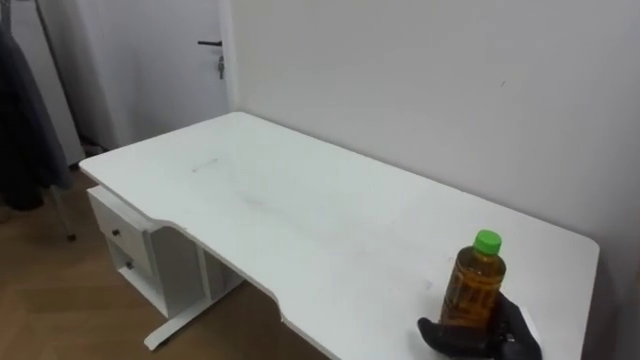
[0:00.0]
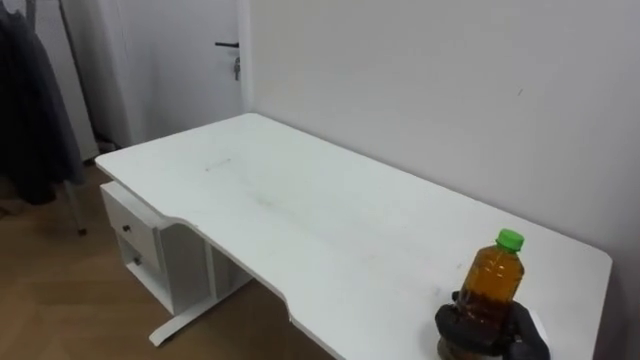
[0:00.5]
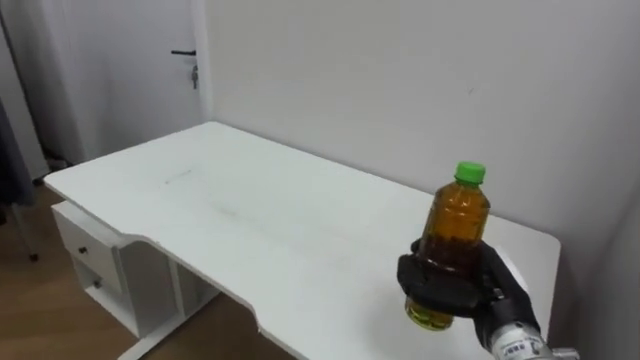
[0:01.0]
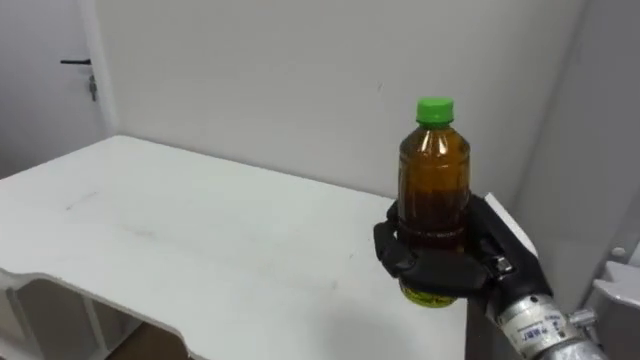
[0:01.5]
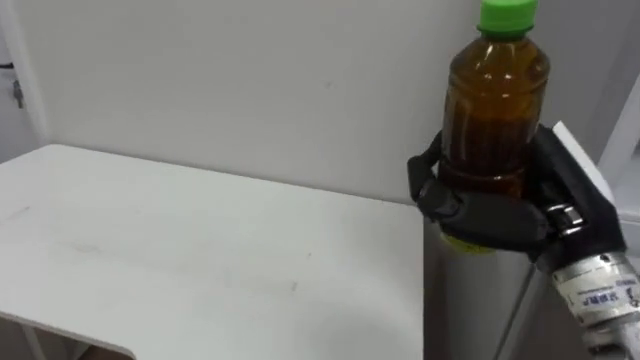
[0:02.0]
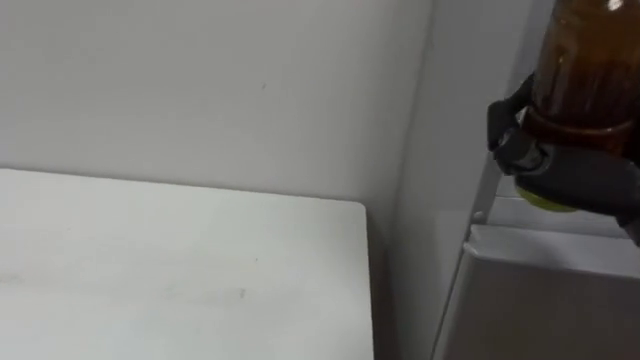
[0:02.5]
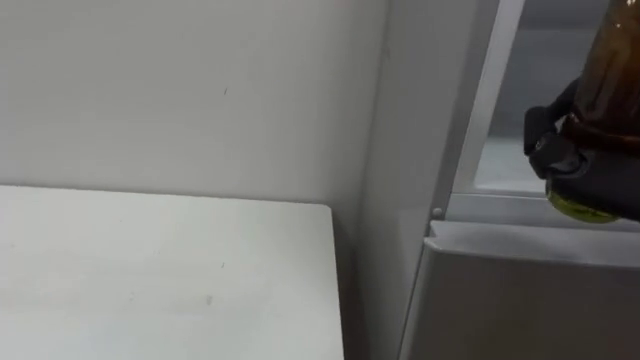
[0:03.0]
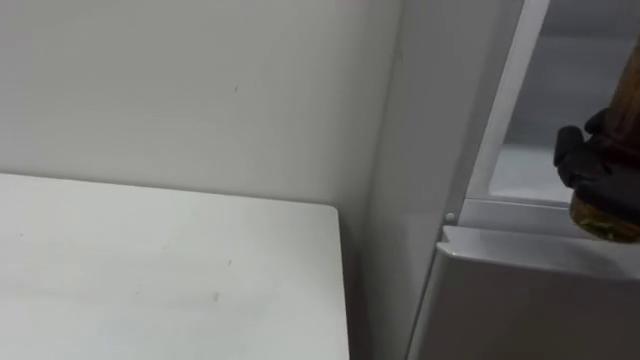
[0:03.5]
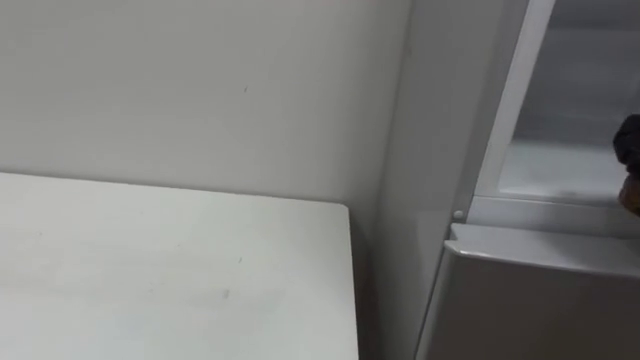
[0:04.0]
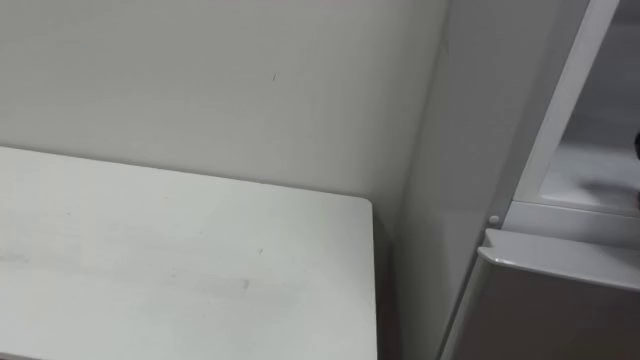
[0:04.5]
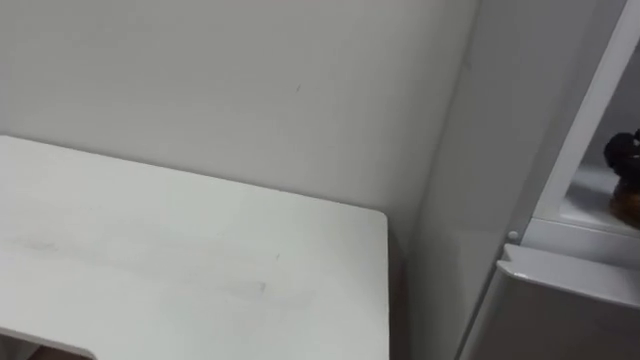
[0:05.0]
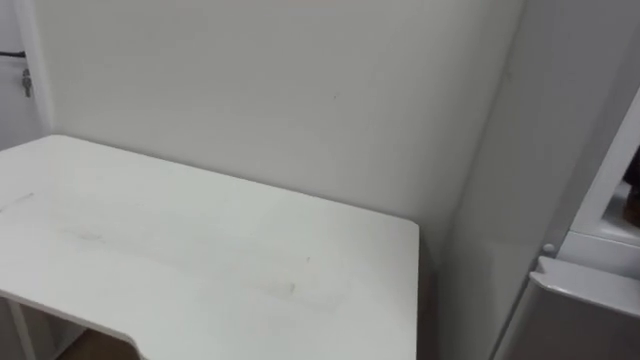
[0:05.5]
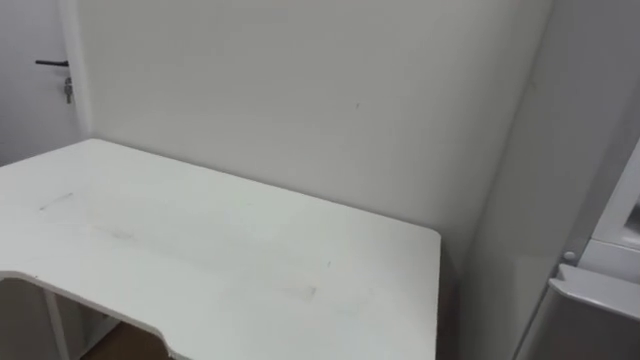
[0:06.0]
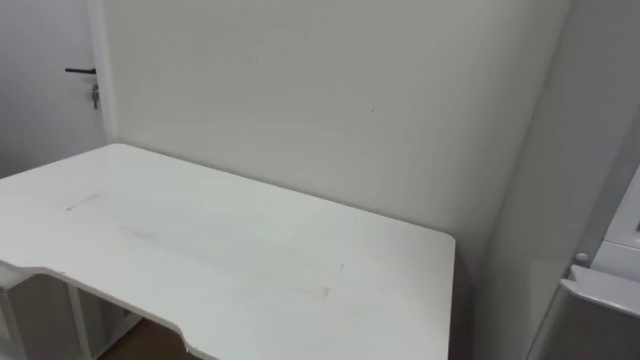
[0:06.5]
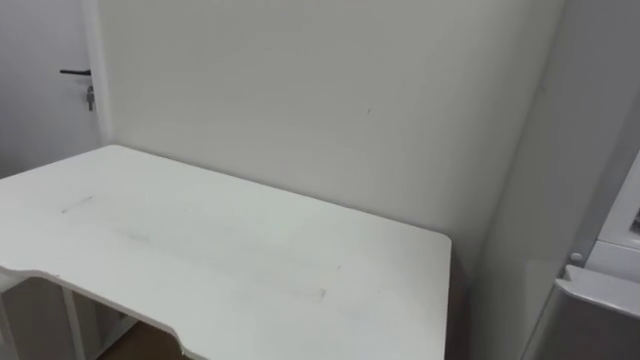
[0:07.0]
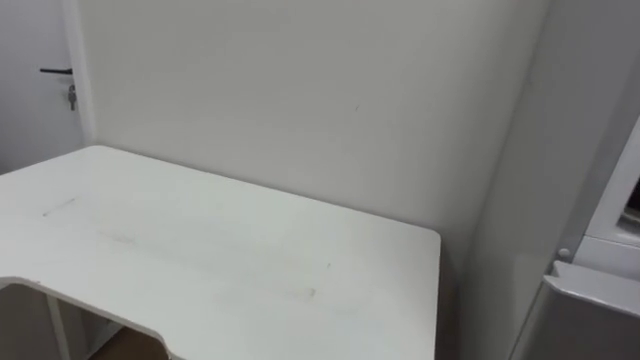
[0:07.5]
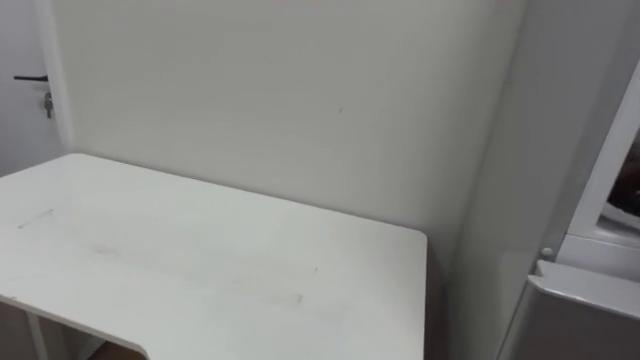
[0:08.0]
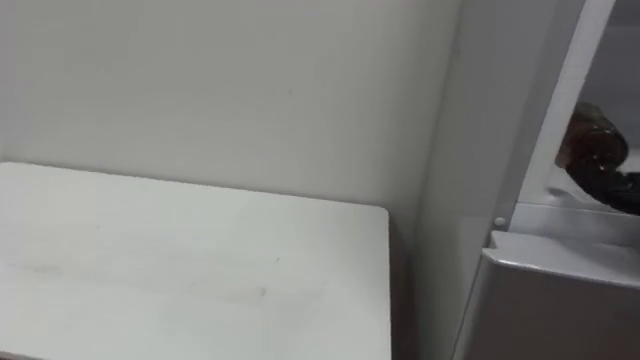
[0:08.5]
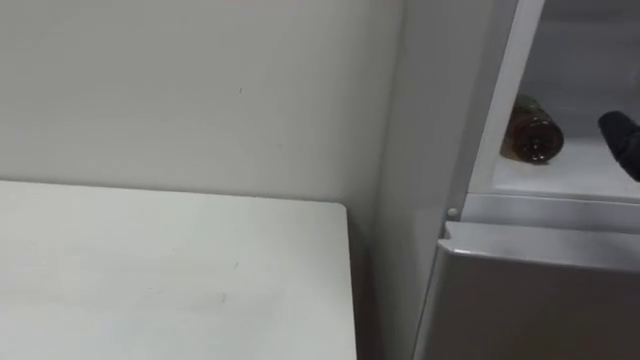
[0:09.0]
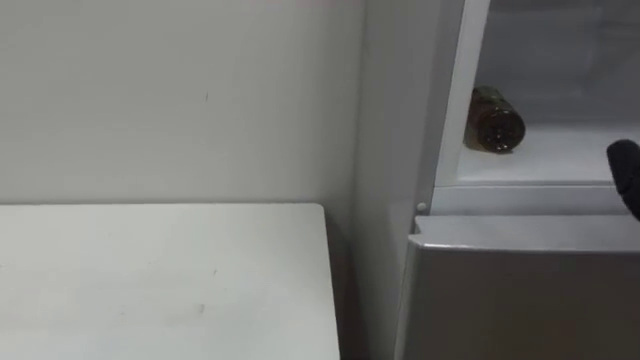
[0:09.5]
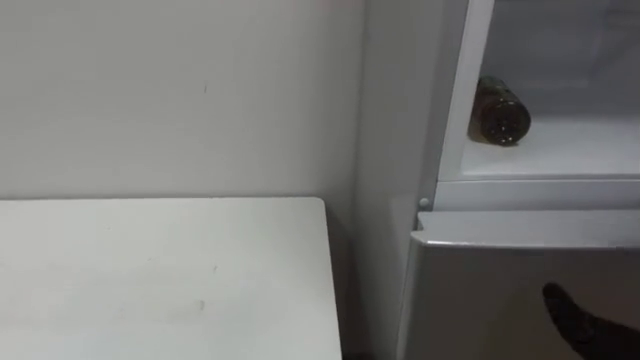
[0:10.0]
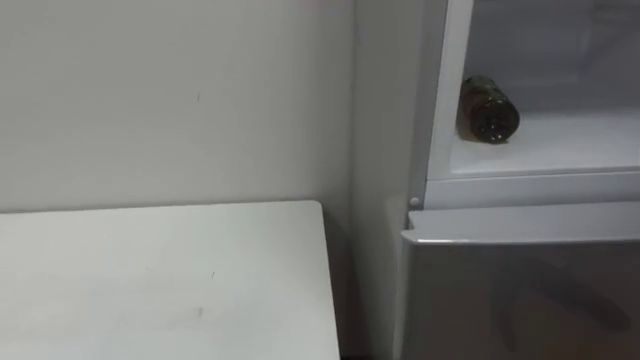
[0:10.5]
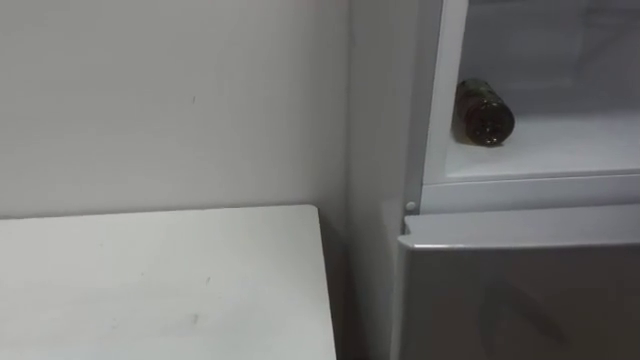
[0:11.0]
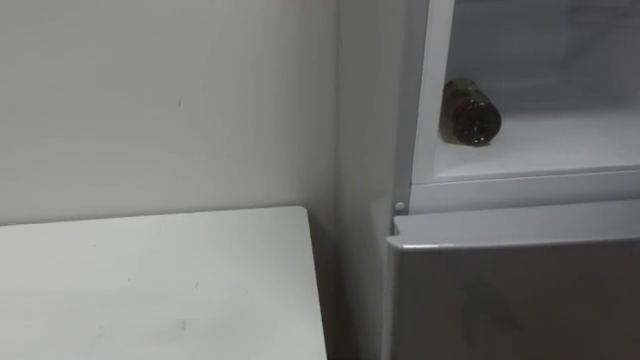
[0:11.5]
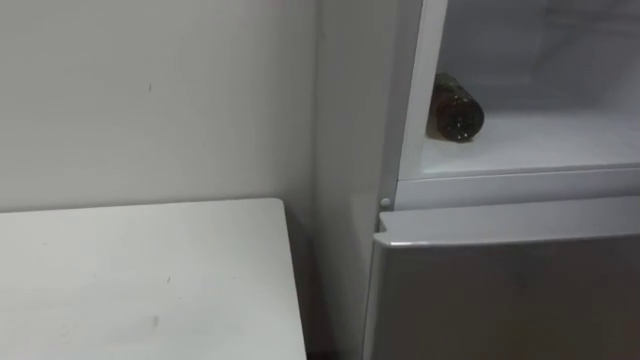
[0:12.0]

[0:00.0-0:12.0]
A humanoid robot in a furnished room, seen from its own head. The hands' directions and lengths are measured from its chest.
Task of the whole recording: Open the upper refrigerator door, put the drink from the table into the refrigerator, and then close the refrigerator door.
0:00.0 to 0:02.0: The right hand heads upward, covering roughly 25 cm, and closes up.

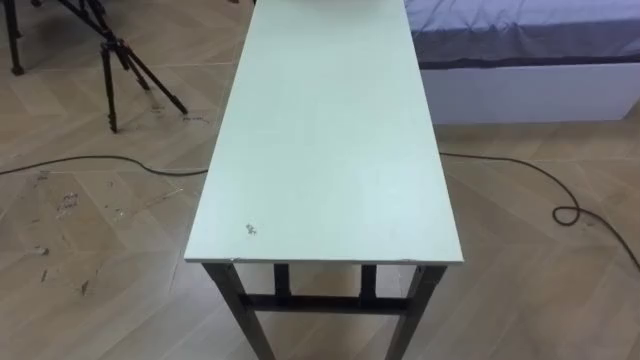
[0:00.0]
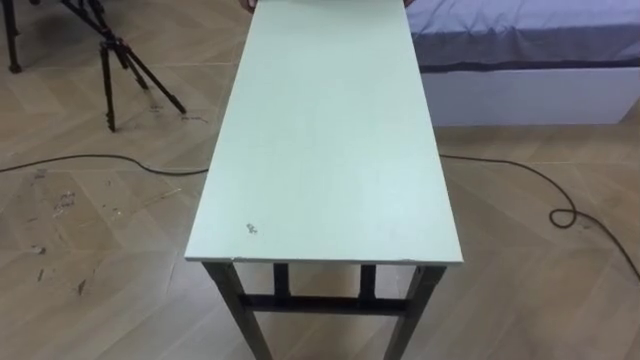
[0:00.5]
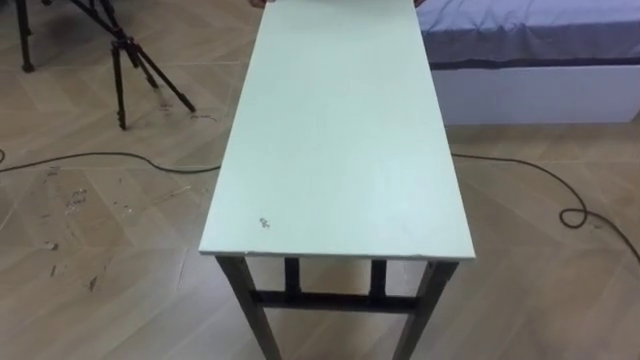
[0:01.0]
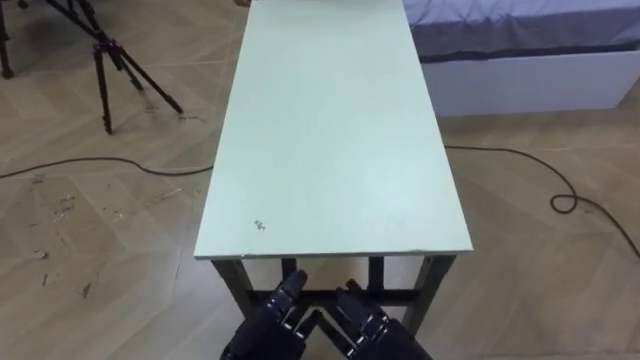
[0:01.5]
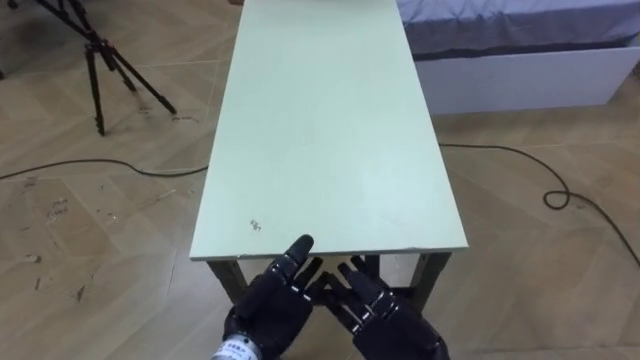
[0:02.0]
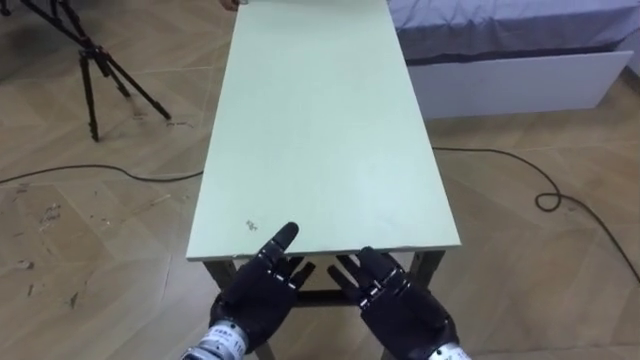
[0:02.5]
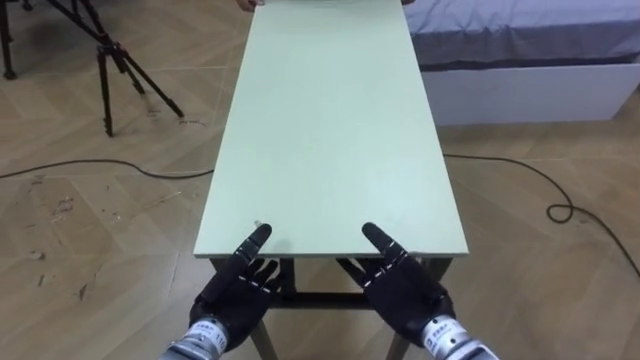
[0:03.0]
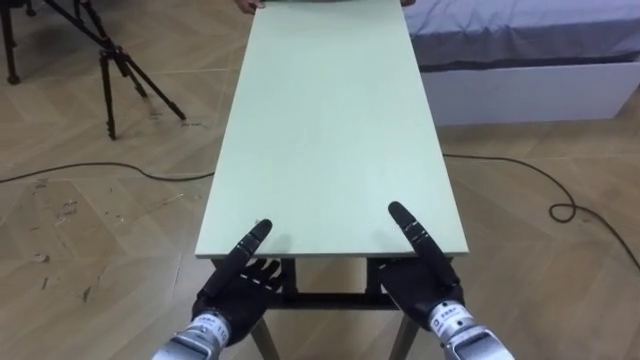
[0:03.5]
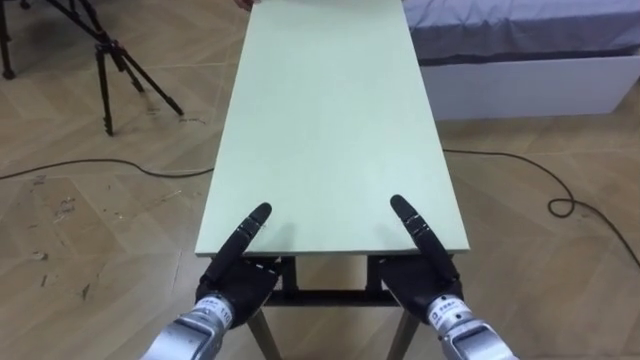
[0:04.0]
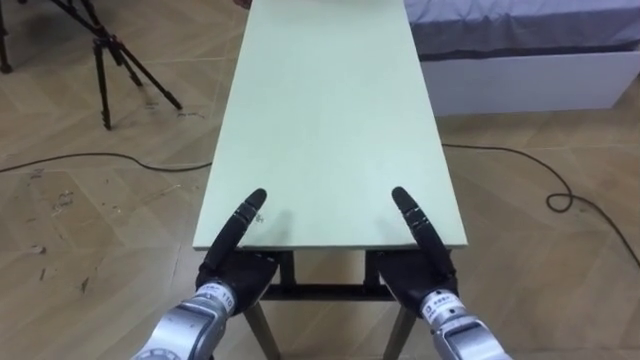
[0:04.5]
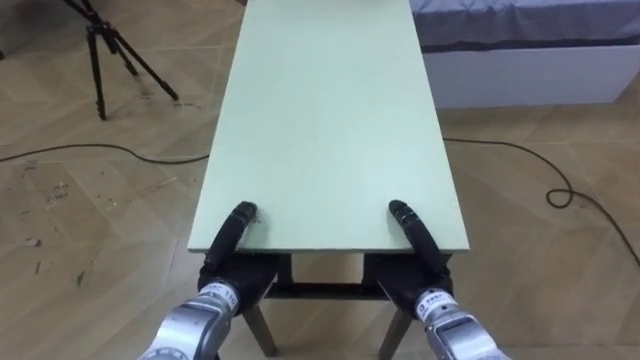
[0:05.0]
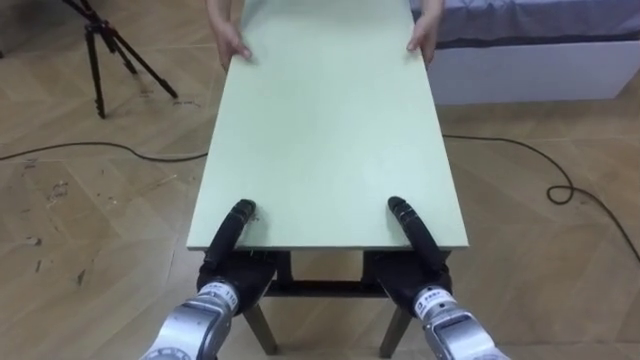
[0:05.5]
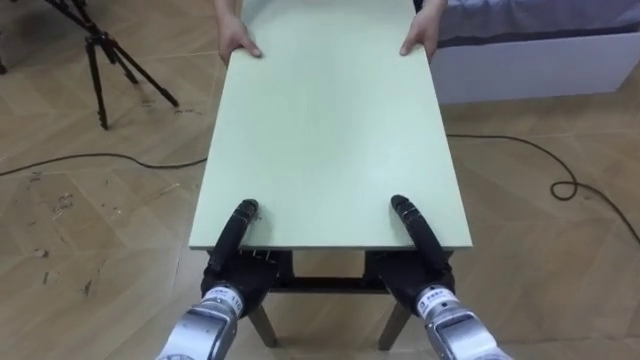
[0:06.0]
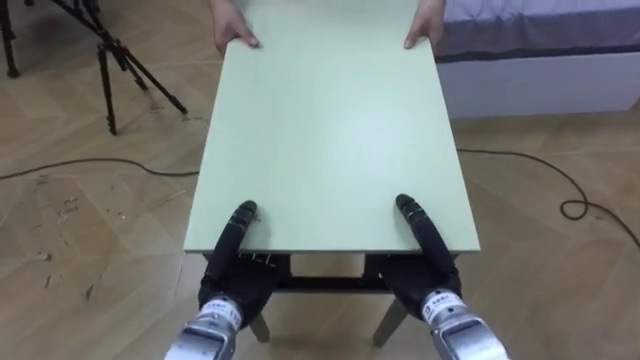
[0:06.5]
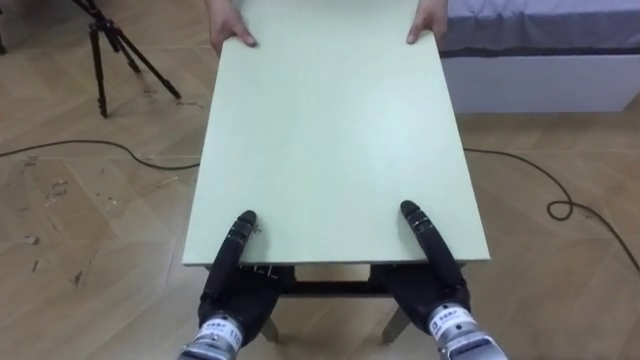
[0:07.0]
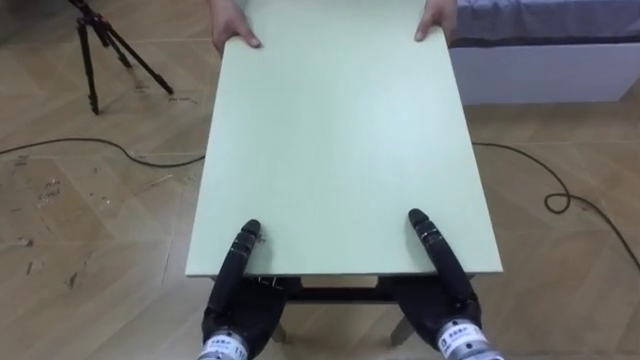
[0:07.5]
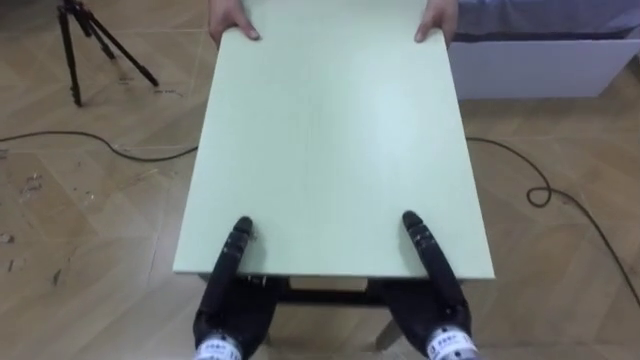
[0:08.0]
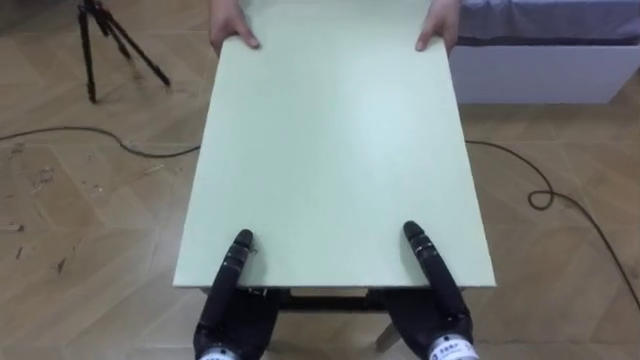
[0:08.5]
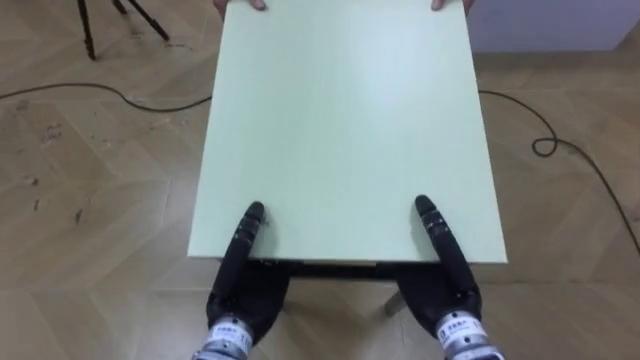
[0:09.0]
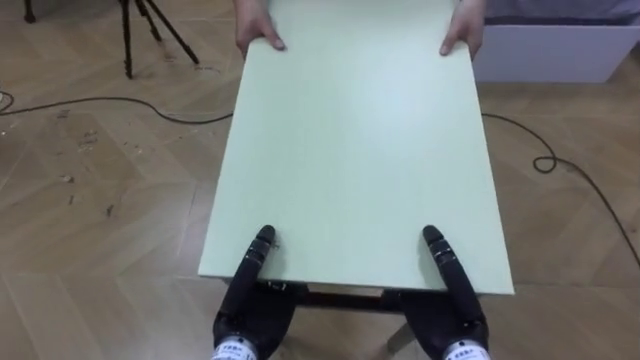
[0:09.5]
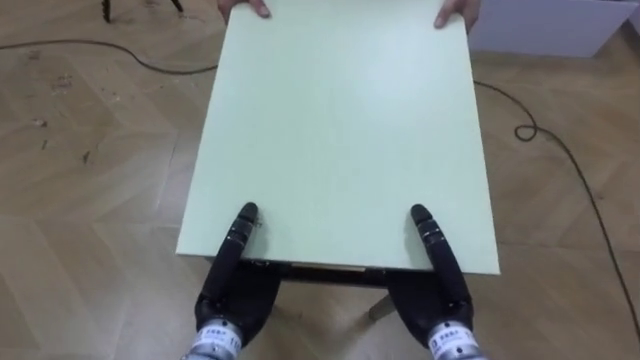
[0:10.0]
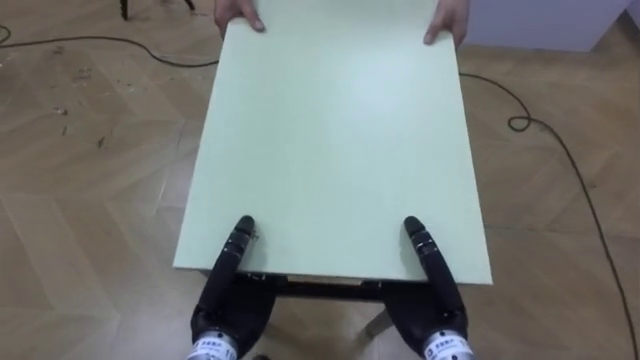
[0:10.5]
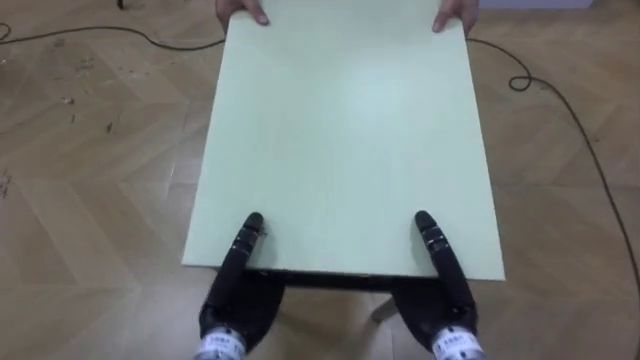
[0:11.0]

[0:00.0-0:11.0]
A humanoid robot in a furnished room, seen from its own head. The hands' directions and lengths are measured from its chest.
Task of the whole recording: Move the table to the back left with someone.
0:02.0 to 0:03.5: The left hand shifts approximately 5 cm to the left; the right hand heads forward, covering some 5 cm.
0:03.5 to 0:05.5: The right hand closes, while the left hand closes up.
0:05.5 to 0:07.5: The left hand shifts by approximately 5 cm. The right hand moves approximately 5 cm.
